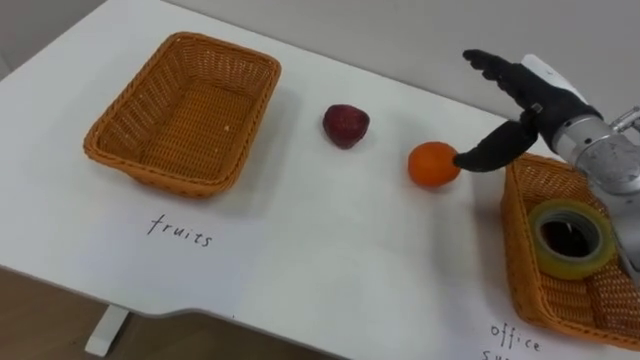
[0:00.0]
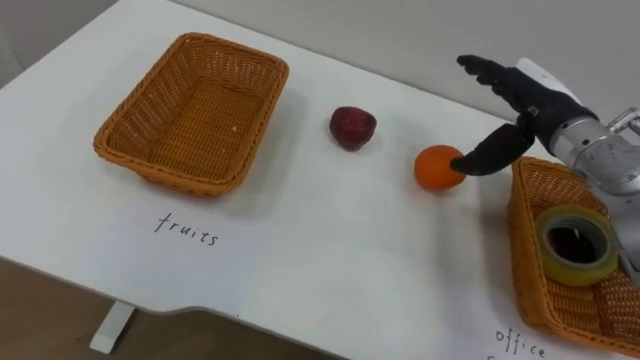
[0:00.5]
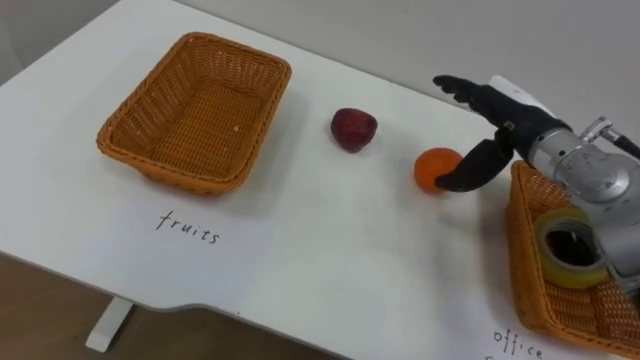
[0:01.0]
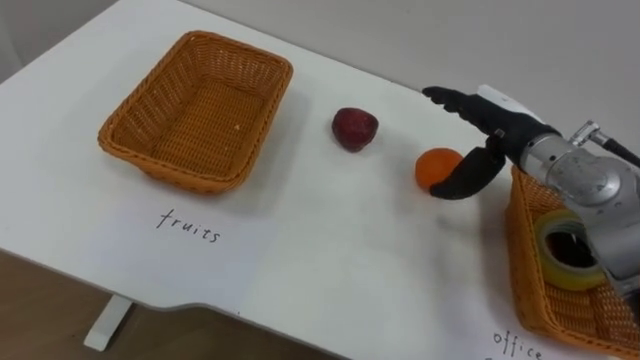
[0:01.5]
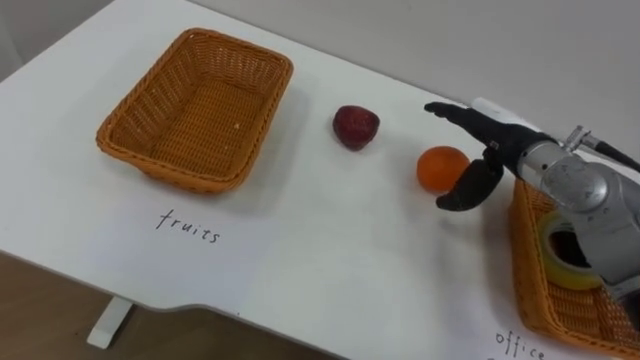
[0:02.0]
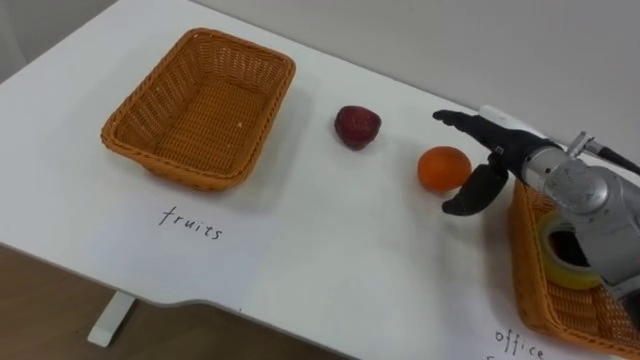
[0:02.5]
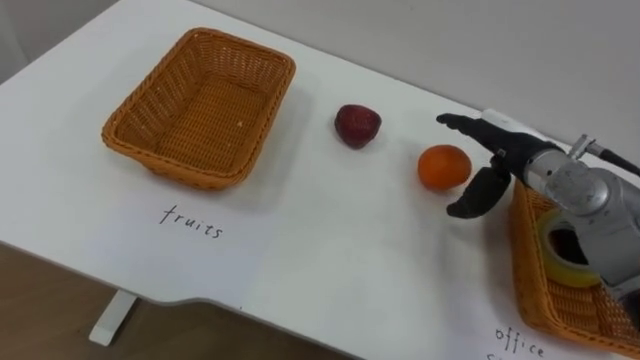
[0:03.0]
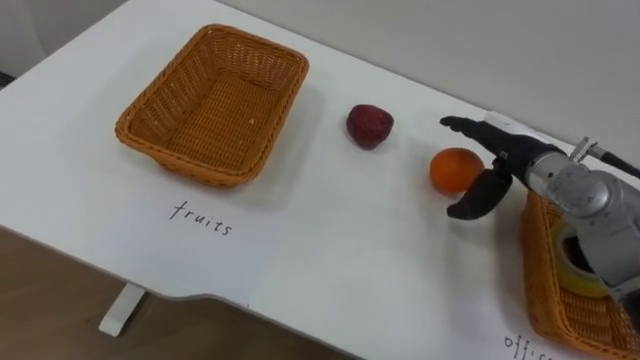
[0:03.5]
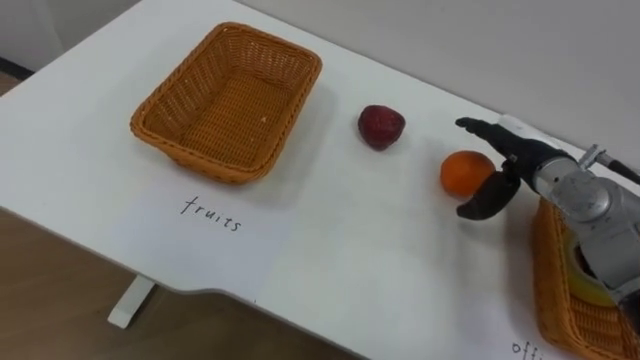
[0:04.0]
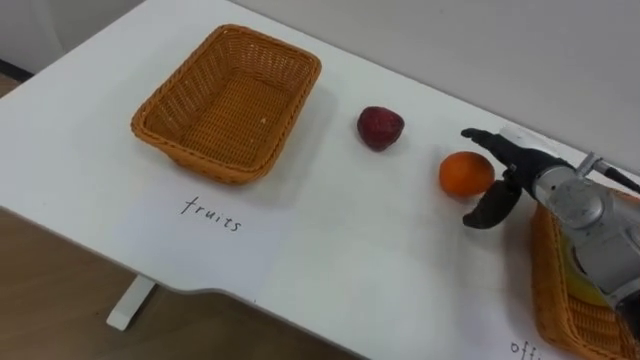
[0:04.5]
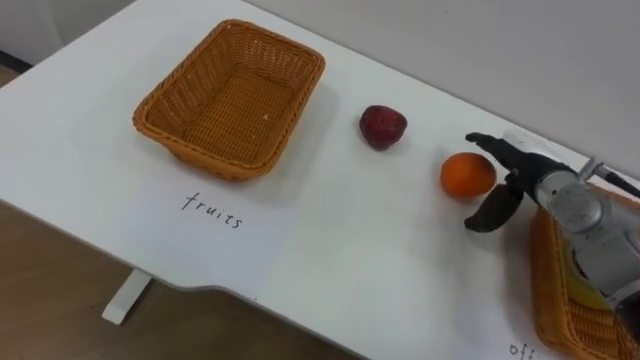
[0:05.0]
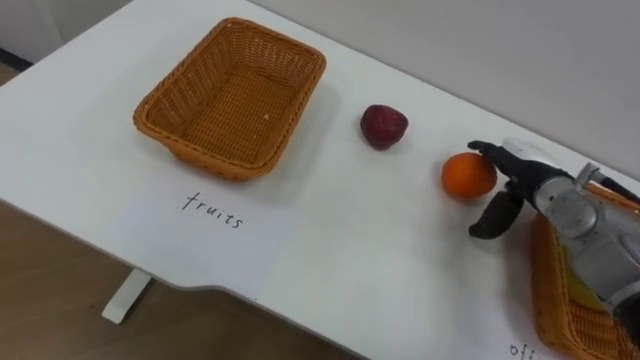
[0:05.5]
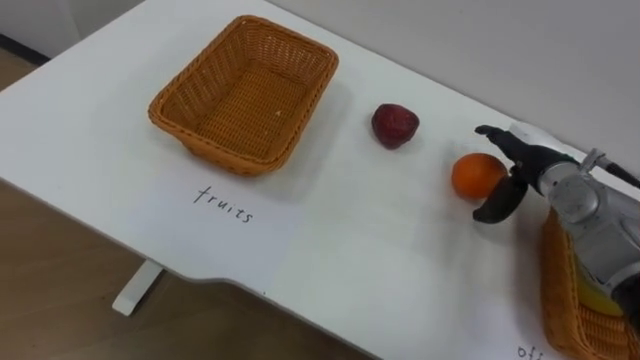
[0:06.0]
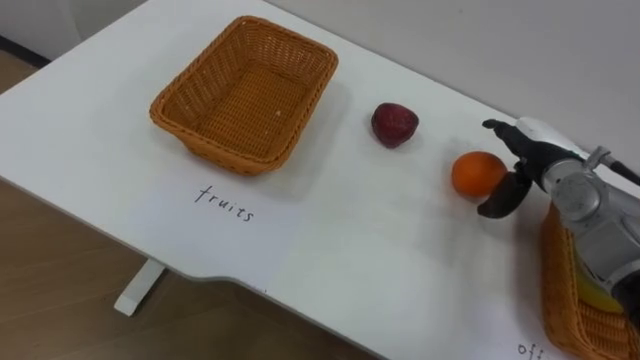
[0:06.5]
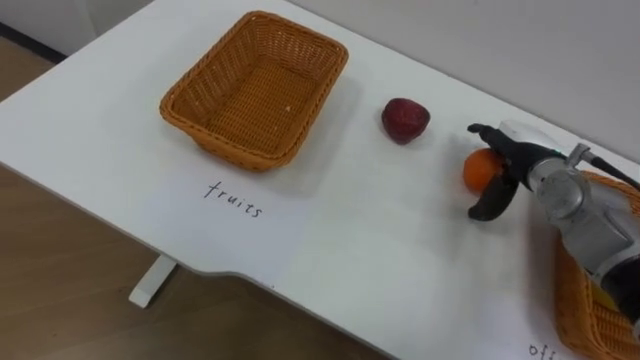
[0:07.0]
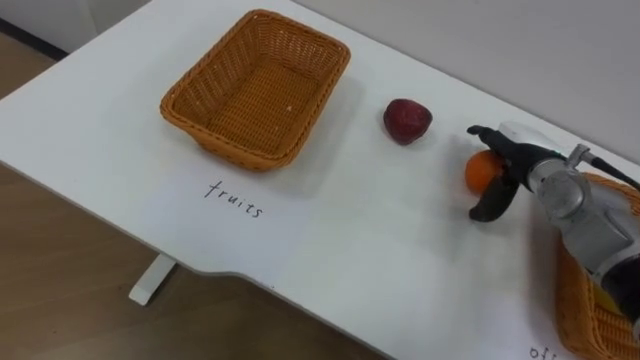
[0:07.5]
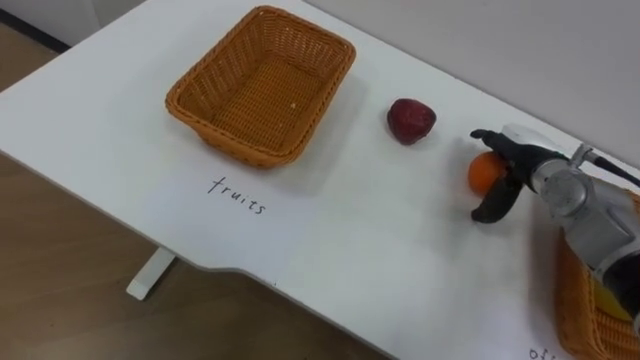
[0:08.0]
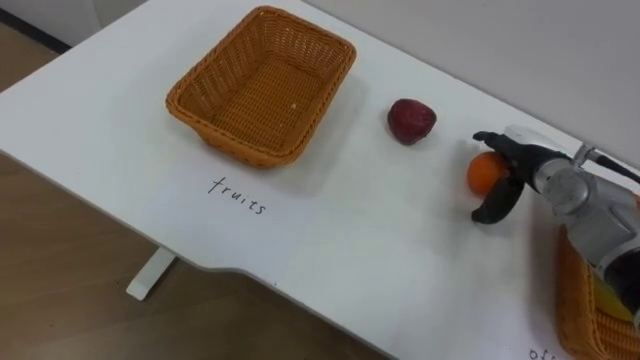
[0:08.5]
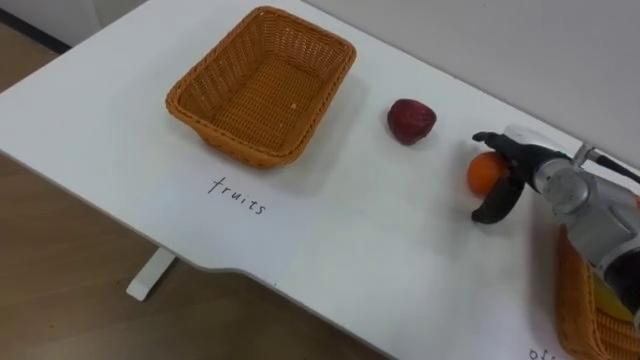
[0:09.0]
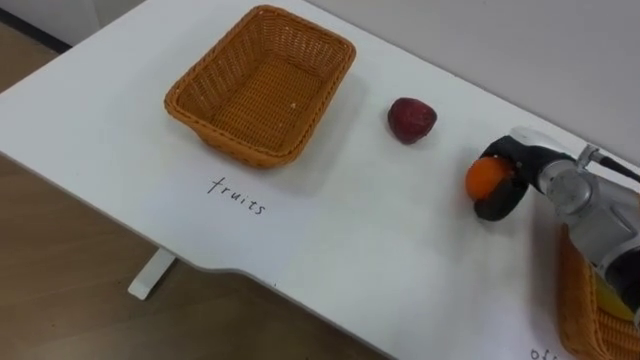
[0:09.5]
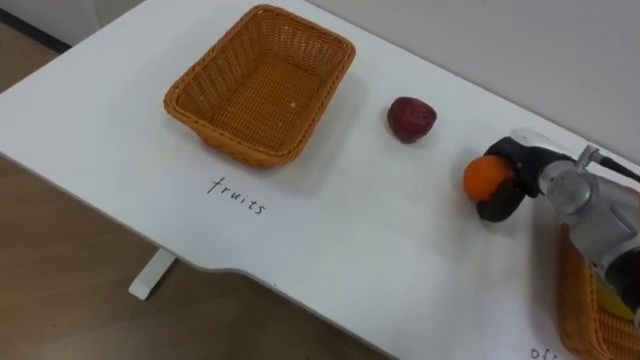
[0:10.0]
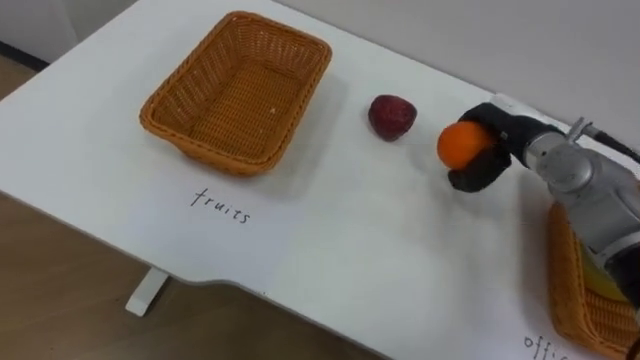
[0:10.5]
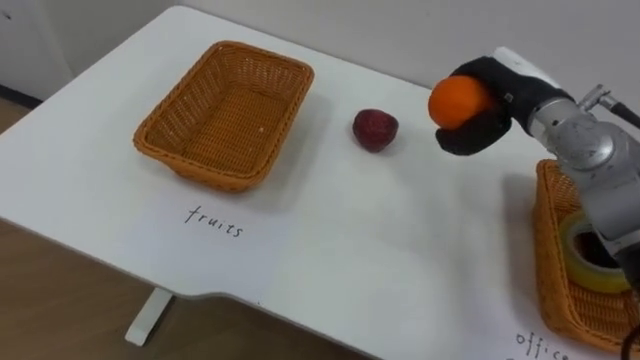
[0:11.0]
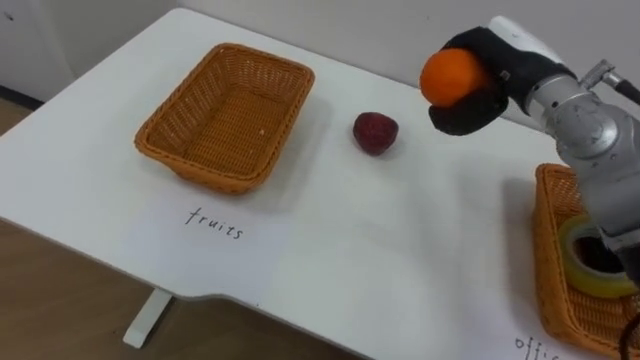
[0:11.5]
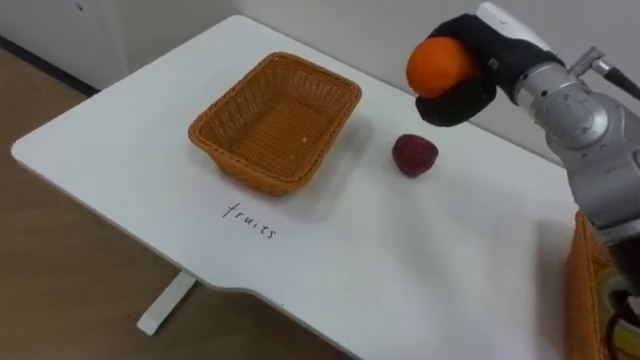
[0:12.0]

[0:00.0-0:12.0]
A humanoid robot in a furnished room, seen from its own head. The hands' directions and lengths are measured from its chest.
Task of the whole recording: Separate the items on the table and place them into the two baskets.
0:00.0 to 0:02.0: The right hand changes place by about 5 cm.
0:08.0 to 0:10.0: The right hand closes.
0:10.0 to 0:12.0: The right hand is displaced upward and to the left by about 20 cm.

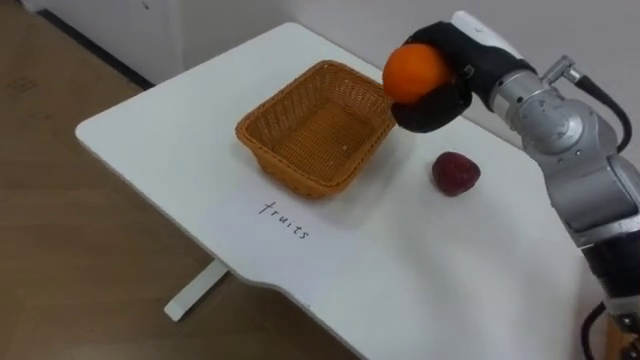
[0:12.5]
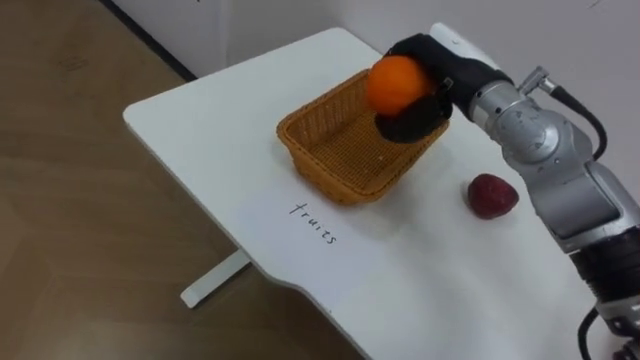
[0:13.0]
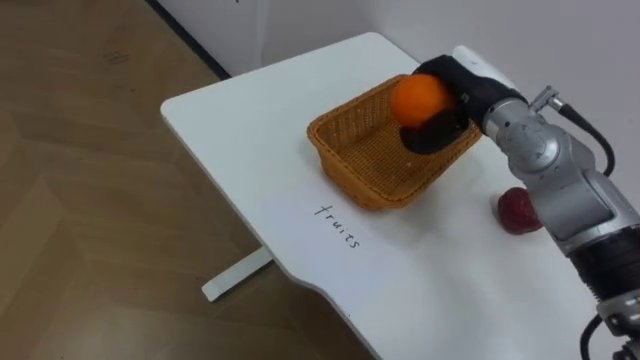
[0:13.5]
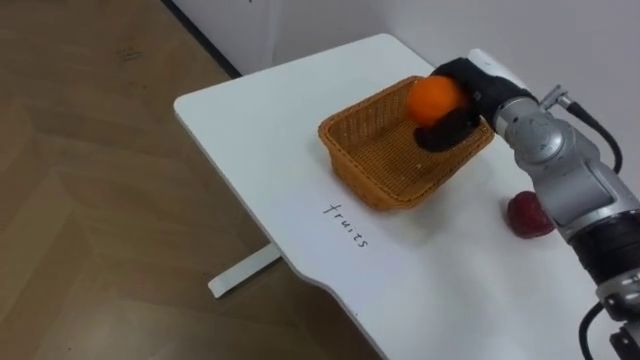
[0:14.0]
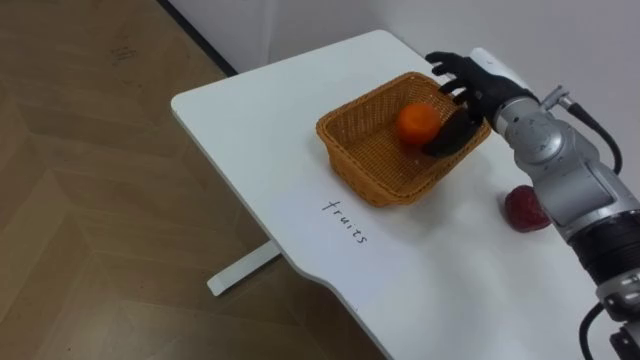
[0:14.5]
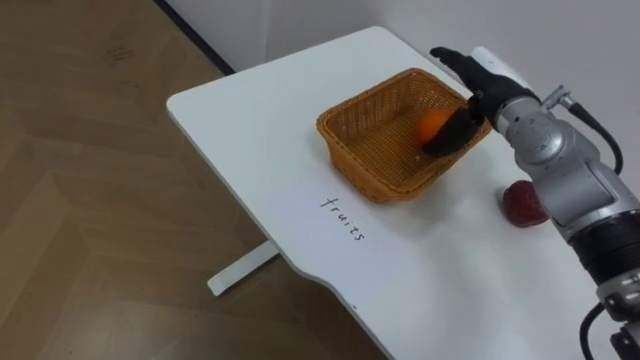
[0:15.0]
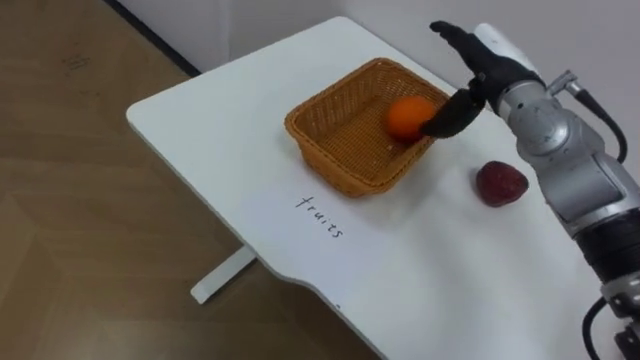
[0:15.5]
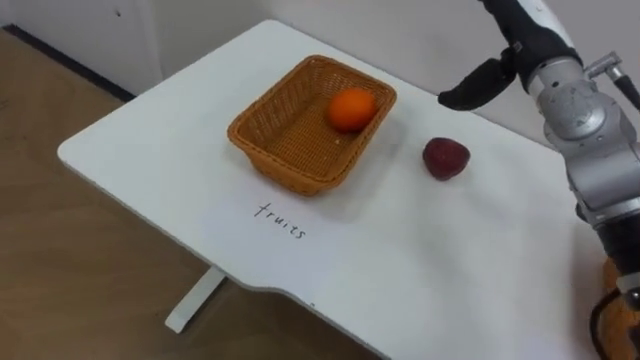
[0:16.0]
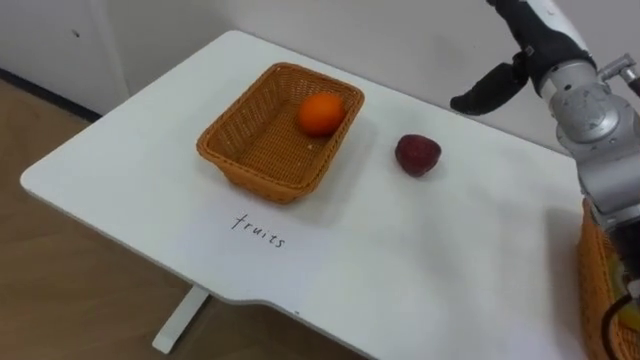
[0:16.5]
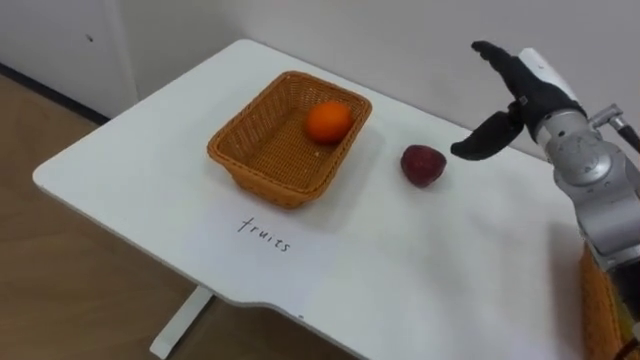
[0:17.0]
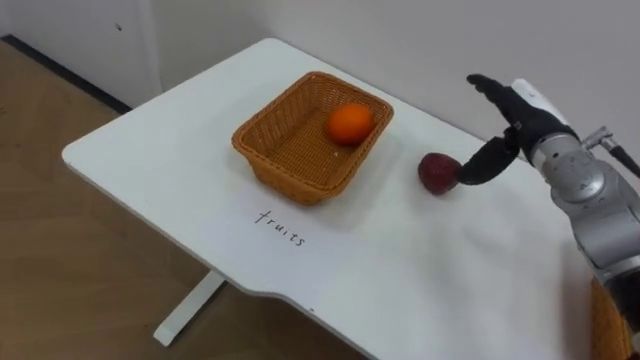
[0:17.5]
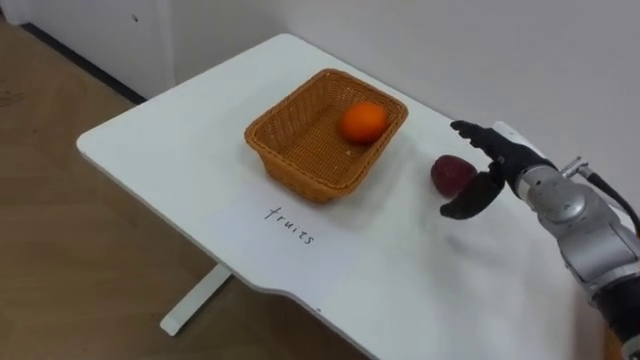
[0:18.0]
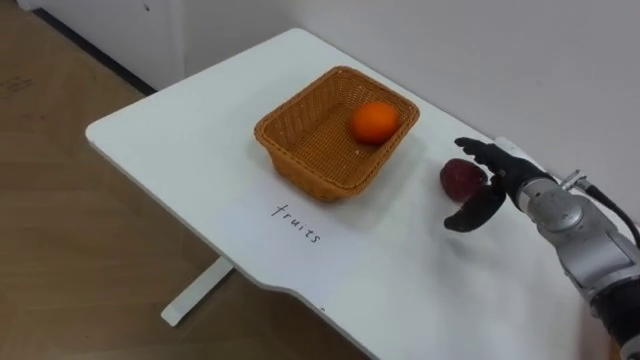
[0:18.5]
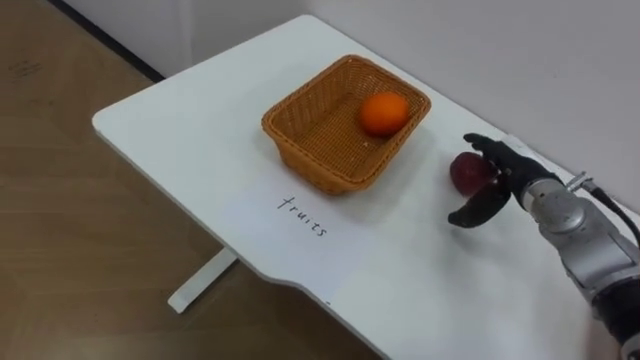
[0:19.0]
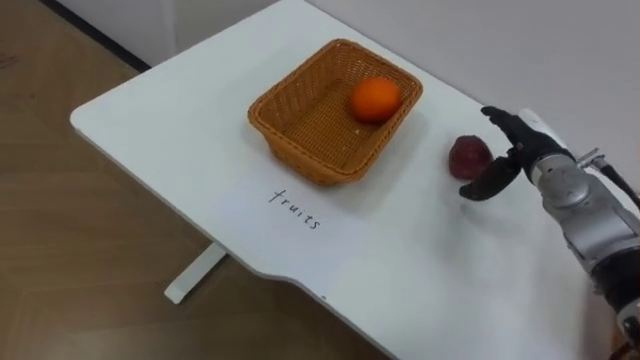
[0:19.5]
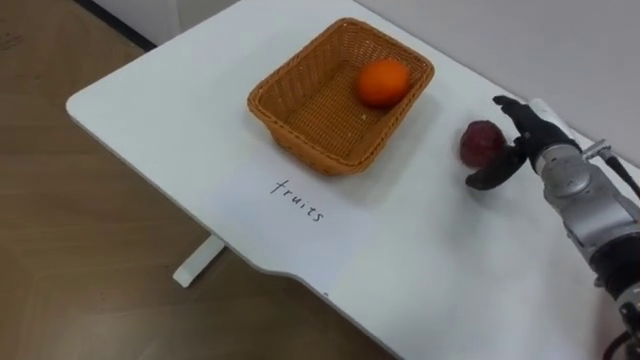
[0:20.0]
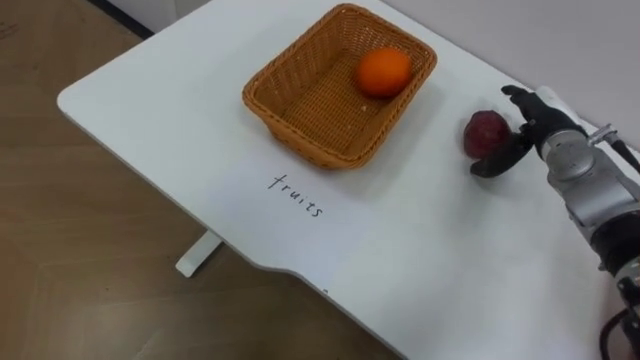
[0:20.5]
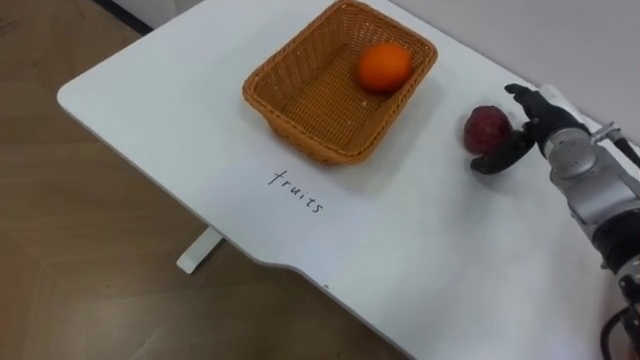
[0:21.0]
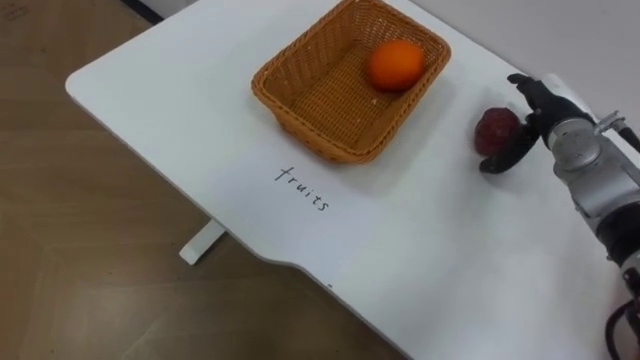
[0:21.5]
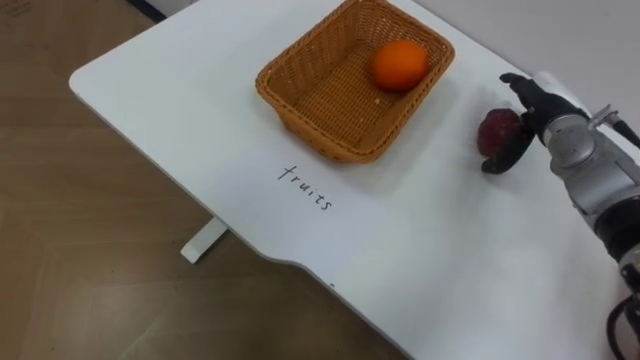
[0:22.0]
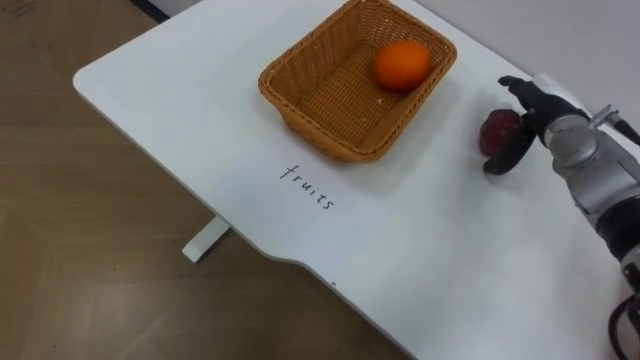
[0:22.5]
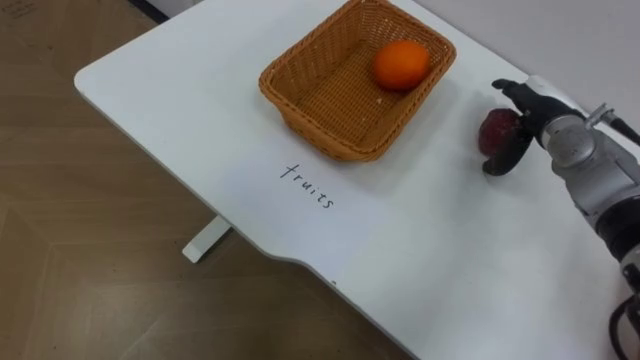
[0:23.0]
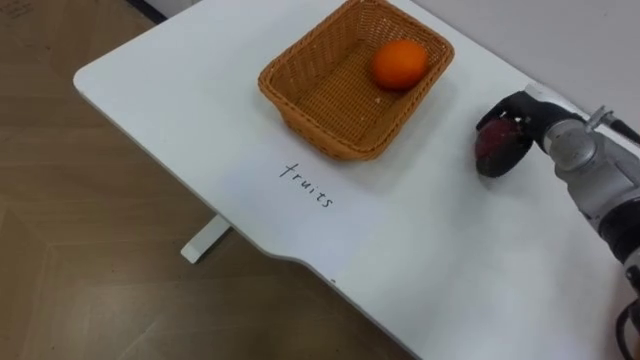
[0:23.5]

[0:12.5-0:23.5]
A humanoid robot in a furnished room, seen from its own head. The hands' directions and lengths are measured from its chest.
Task of the whole recording: Separate the items on the table and place them into the two baskets.
0:12.5 to 0:14.5: The right hand moves downward, some 5 cm, and opens its fingers.
0:14.5 to 0:16.0: The right hand shifts roughly 5 cm upward.
0:16.0 to 0:18.0: The right hand travels downward by roughly 15 cm.
0:21.5 to 0:23.5: The right hand closes.
